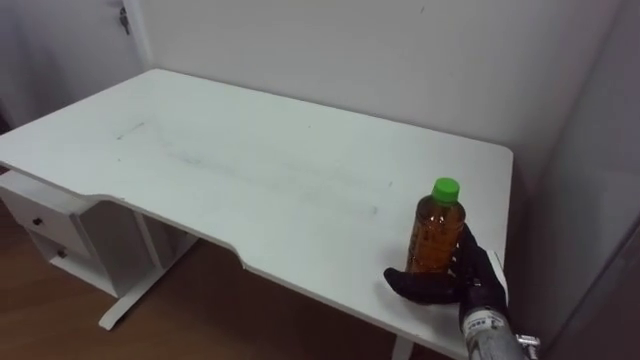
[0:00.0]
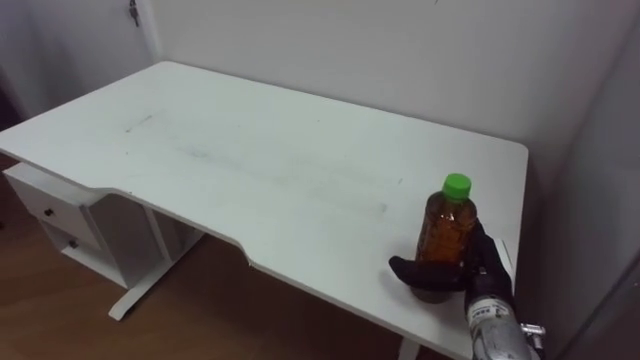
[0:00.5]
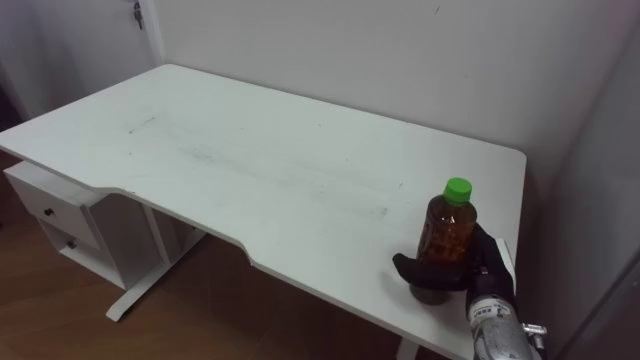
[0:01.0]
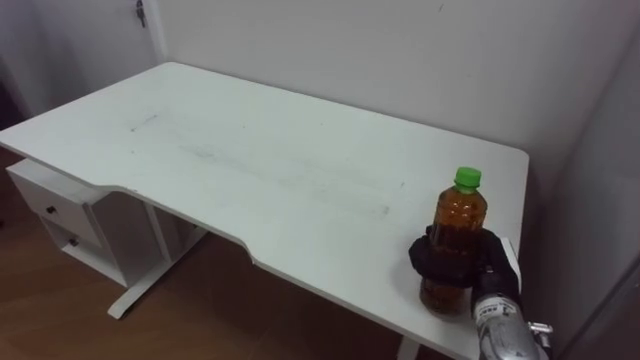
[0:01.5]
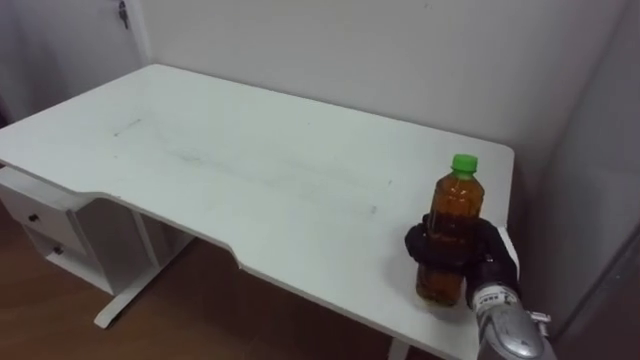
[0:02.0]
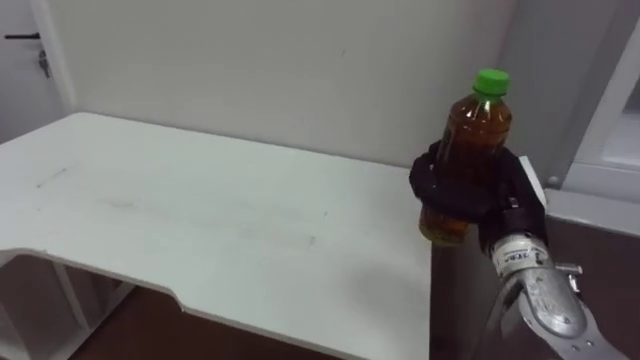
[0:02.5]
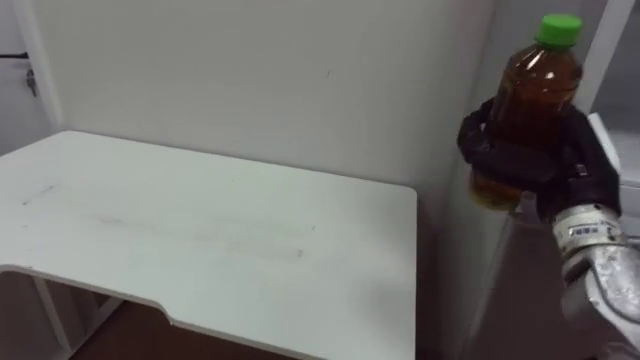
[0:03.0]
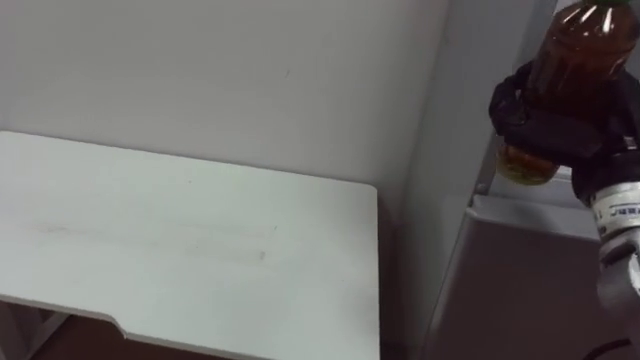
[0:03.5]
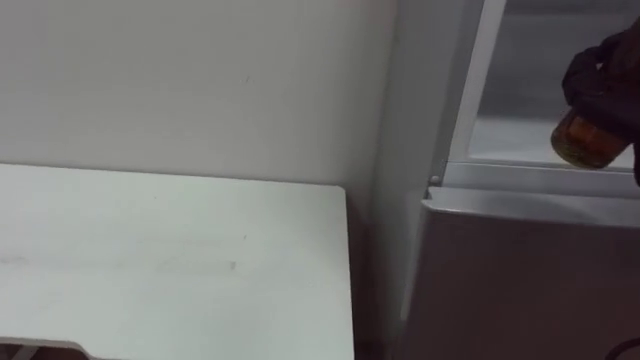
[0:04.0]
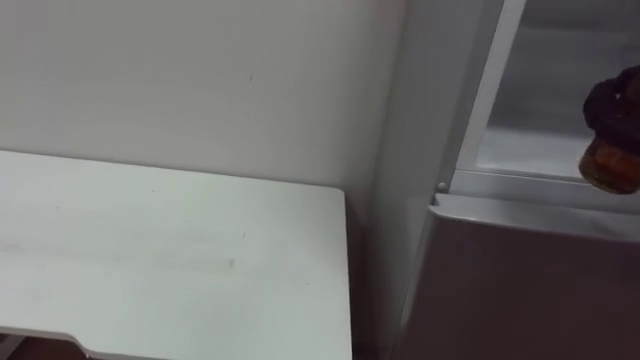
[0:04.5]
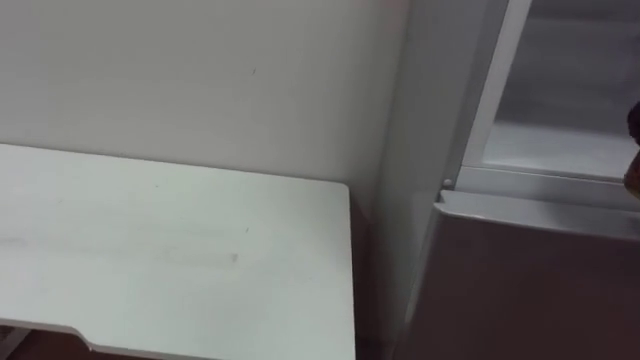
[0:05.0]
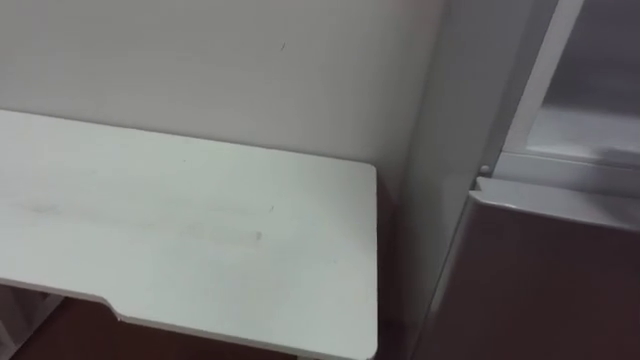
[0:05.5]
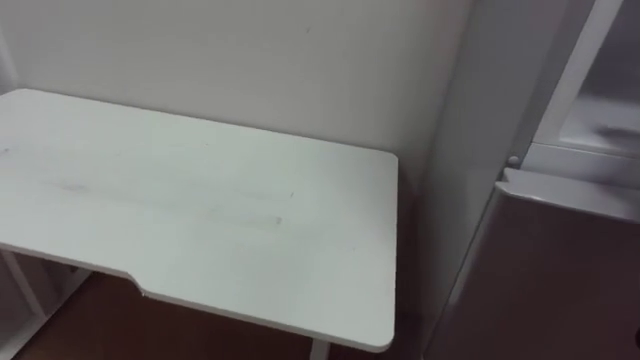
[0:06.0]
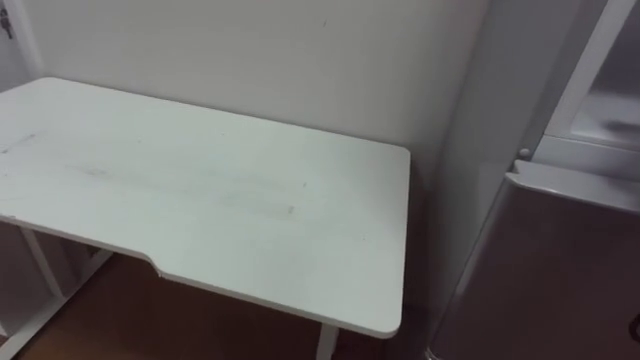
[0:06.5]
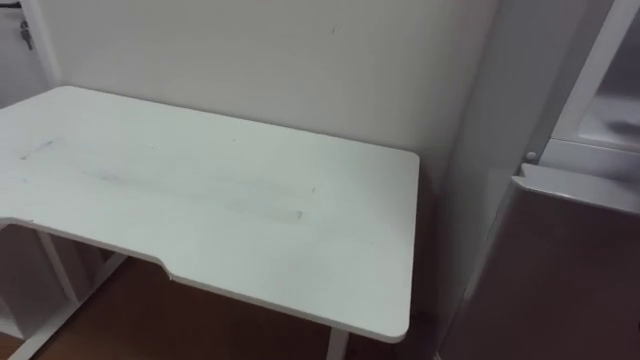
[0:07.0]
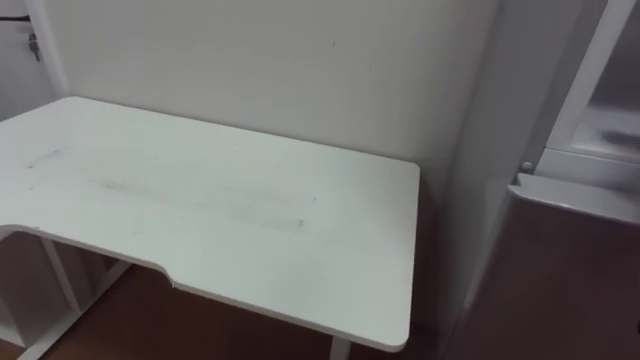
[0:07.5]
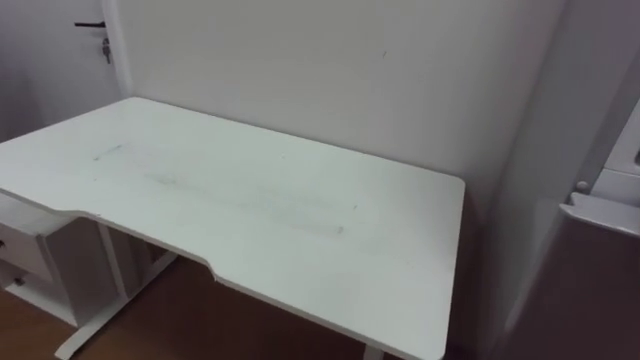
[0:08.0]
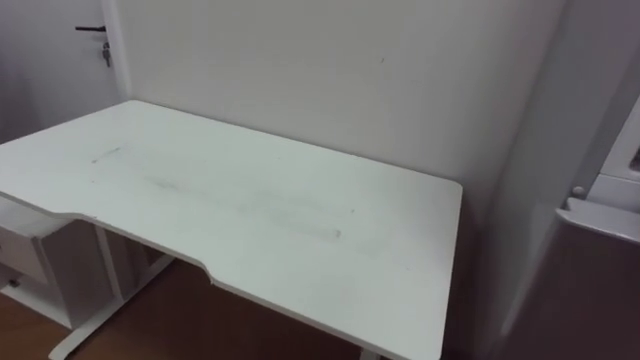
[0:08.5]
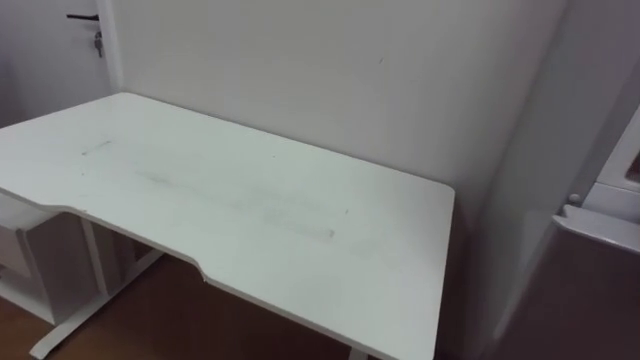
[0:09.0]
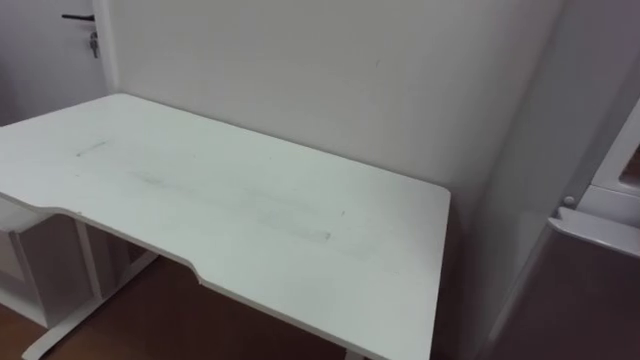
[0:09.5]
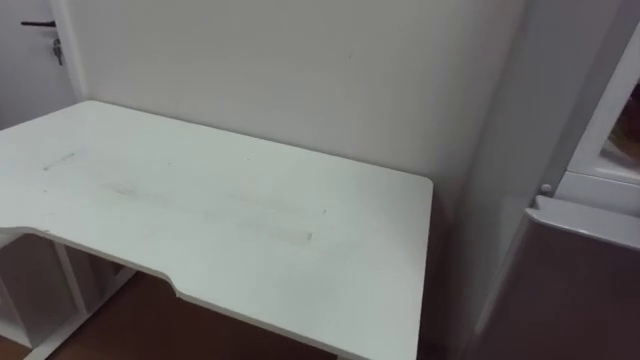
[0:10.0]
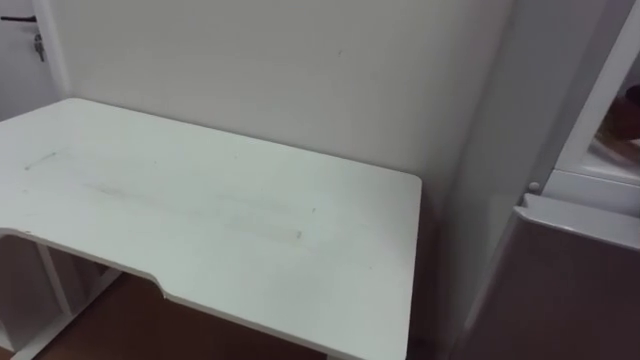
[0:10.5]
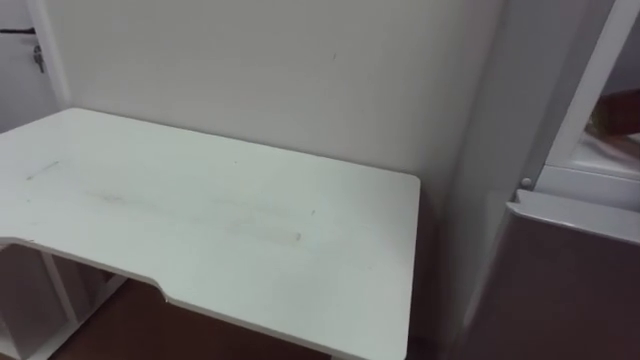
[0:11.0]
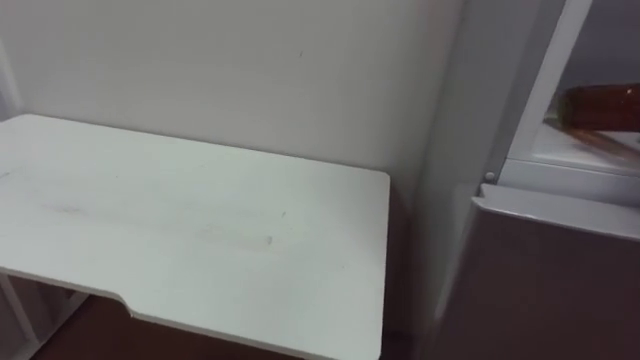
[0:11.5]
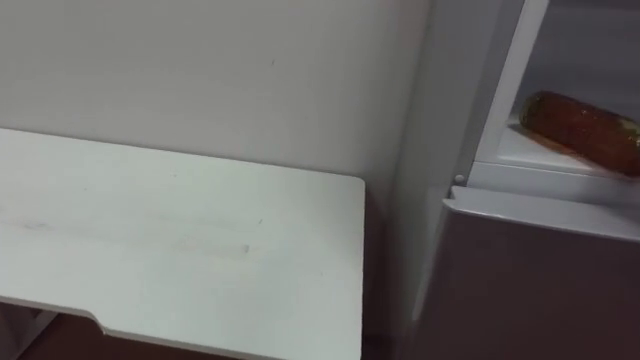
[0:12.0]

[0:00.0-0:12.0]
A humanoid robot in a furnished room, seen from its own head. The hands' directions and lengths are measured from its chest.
Task of the whole recording: Open the upper refrigerator door, put the drink from the table into the refrigerator, and then close the refrigerator door.
0:00.0 to 0:02.0: The right hand closes its fingers.

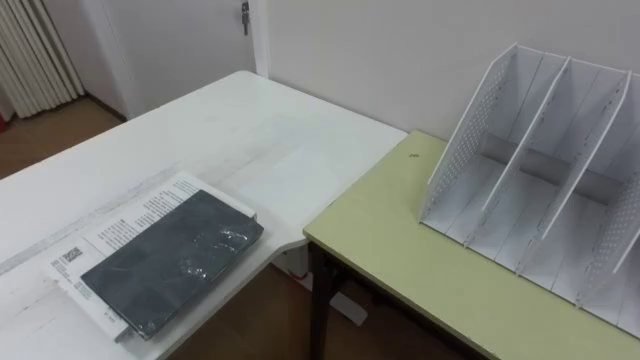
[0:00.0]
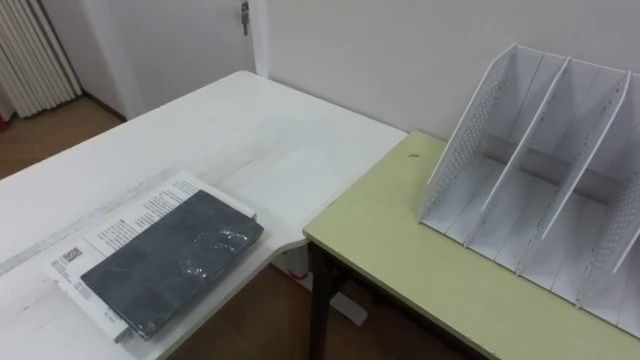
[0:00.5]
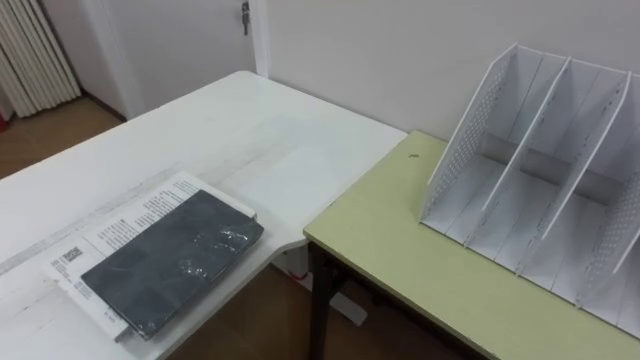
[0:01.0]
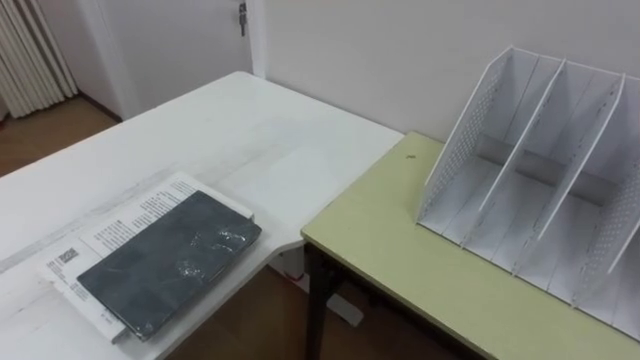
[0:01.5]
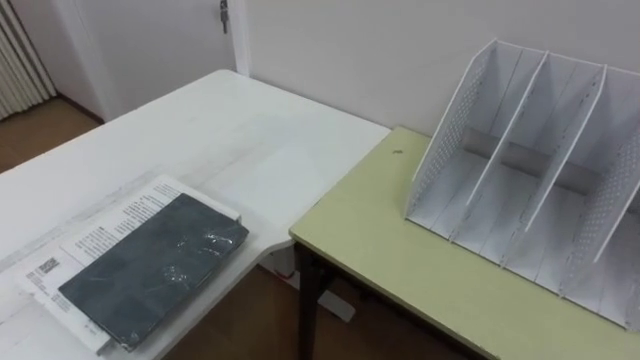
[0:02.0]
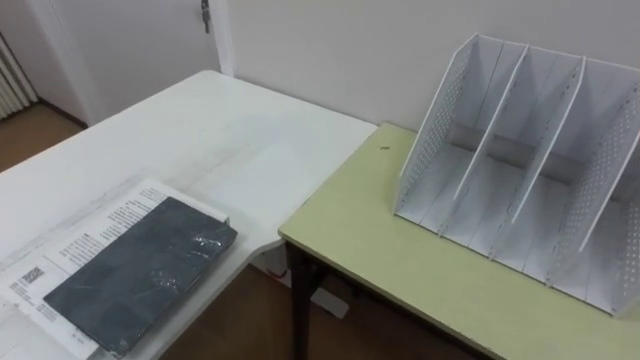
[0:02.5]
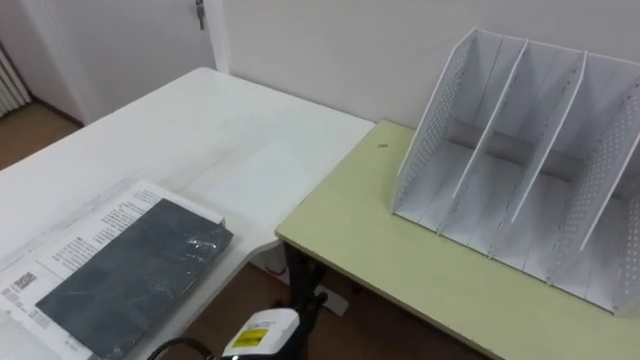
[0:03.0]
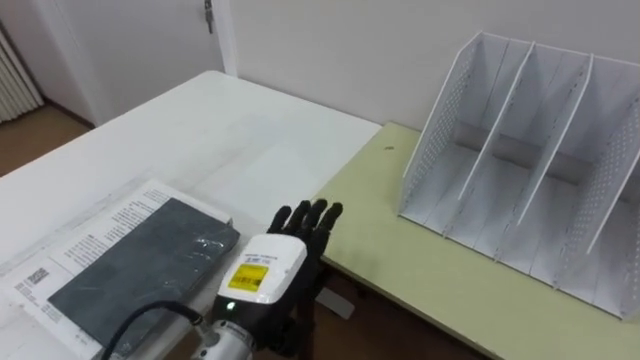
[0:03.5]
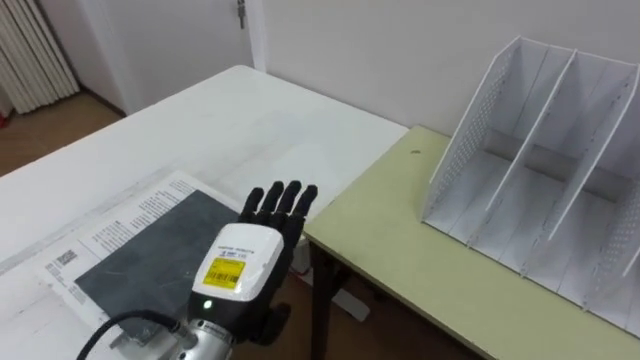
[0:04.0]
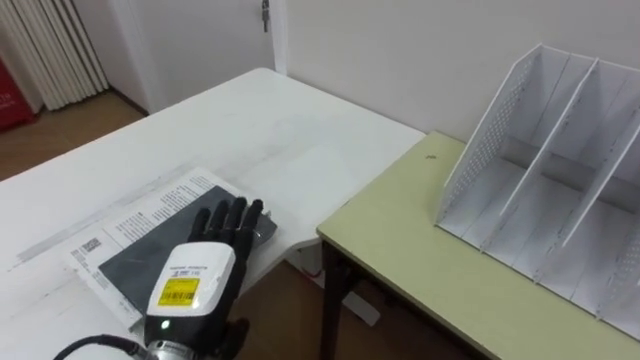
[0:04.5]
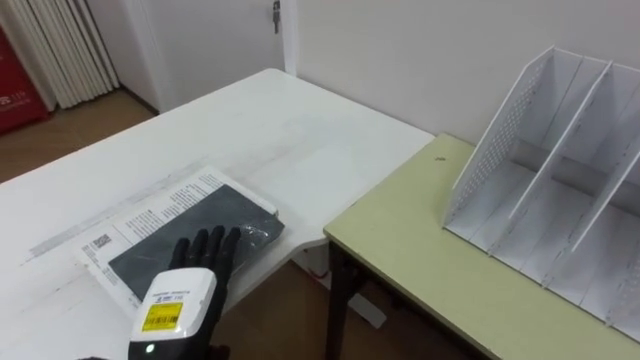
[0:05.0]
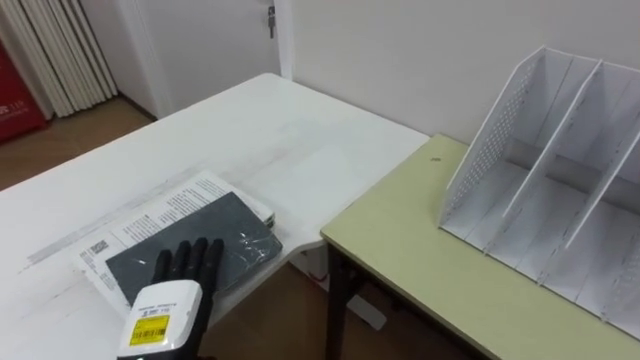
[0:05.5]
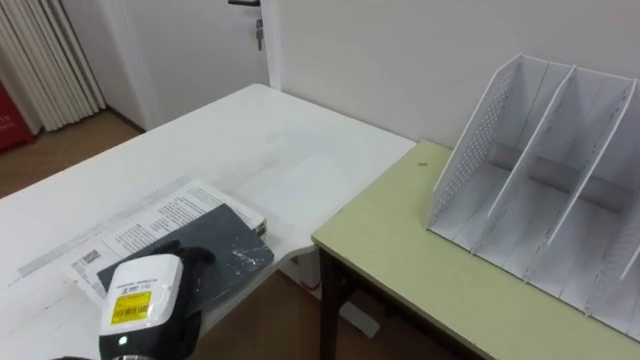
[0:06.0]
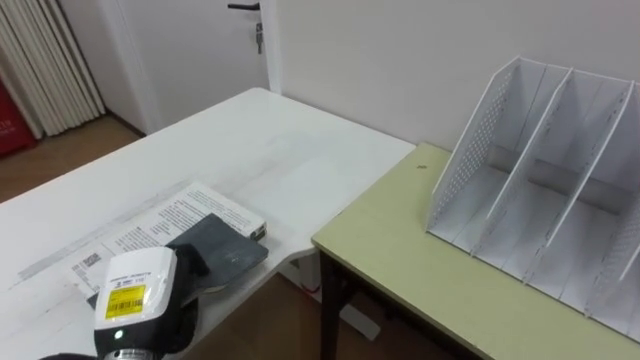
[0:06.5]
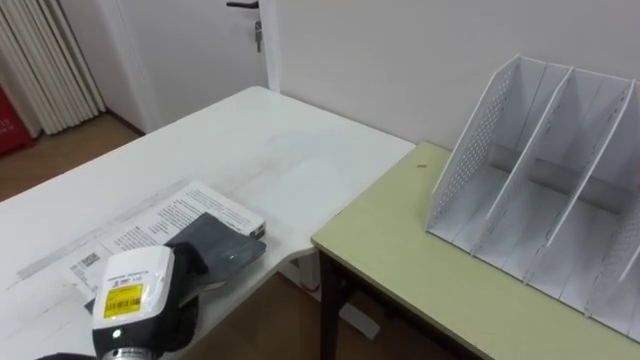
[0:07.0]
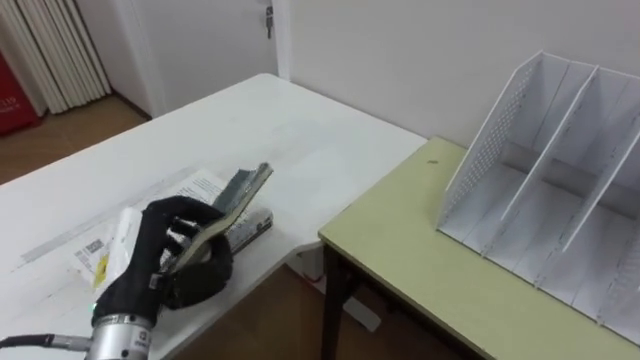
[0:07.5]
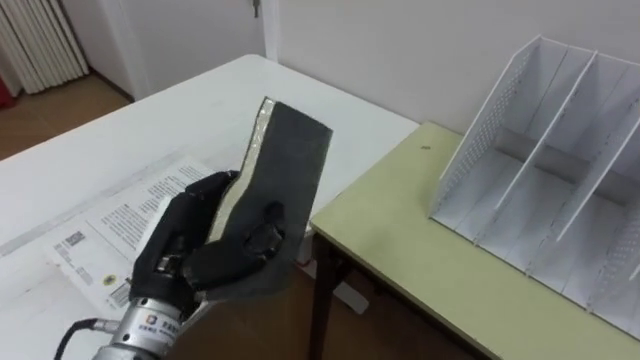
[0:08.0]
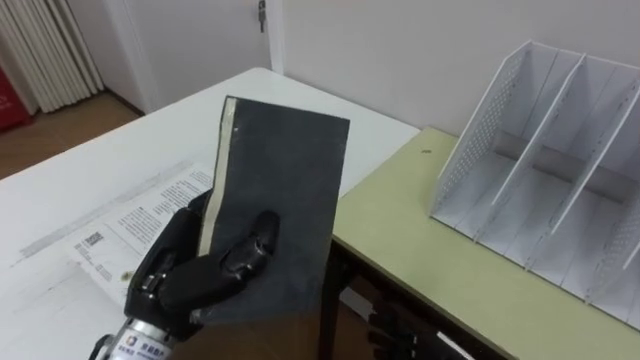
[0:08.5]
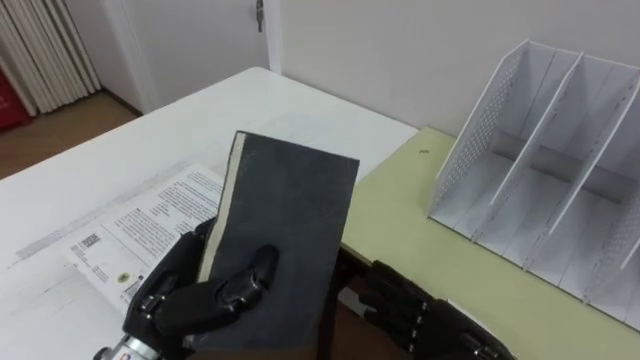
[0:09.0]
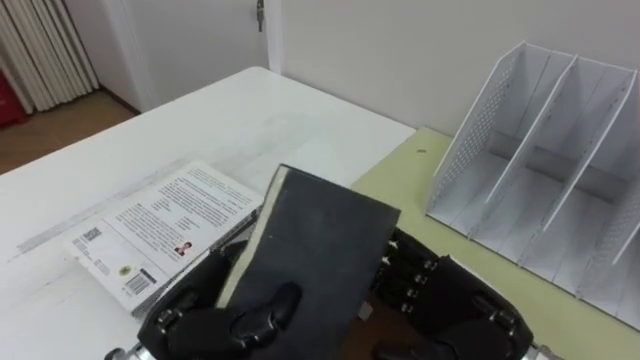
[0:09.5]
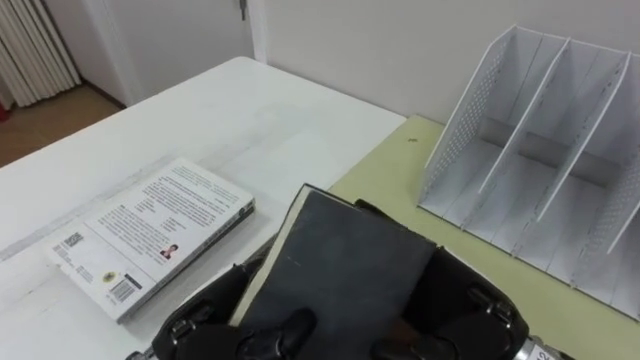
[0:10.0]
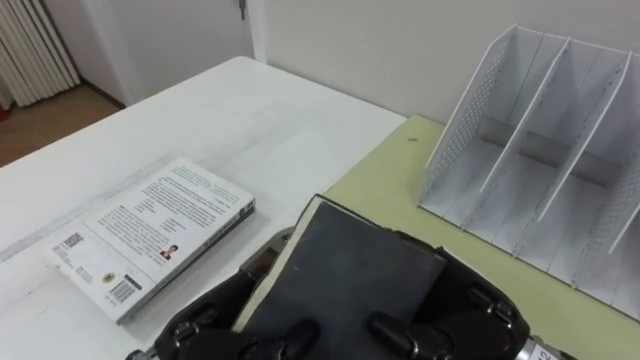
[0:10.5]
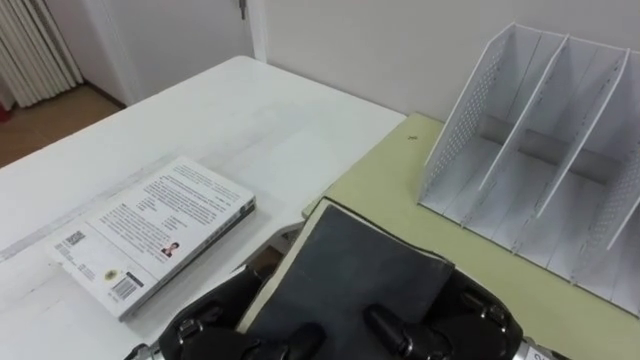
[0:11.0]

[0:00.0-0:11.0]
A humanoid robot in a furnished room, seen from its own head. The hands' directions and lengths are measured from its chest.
Task of the whole recording: Put the books on the table onto the bookshelf.
0:03.5 to 0:05.5: The left hand is displaced to the left and downward by some 15 cm.
0:05.5 to 0:07.5: The left hand goes approximately 10 cm upward, and closes up.
0:07.5 to 0:09.0: The left hand travels to the right by approximately 5 cm.
0:09.0 to 0:11.0: The left hand ends up approximately 5 cm from where it was; the right hand heads upward, covering roughly 10 cm, and closes its fingers.
